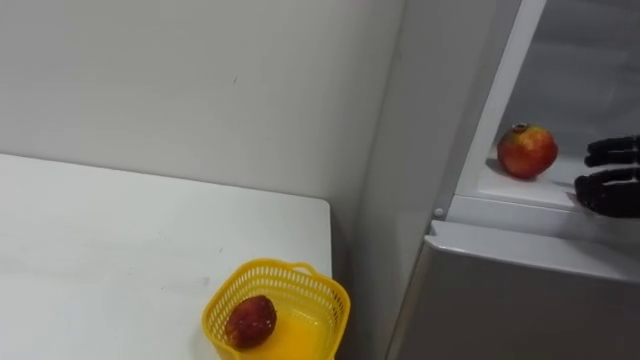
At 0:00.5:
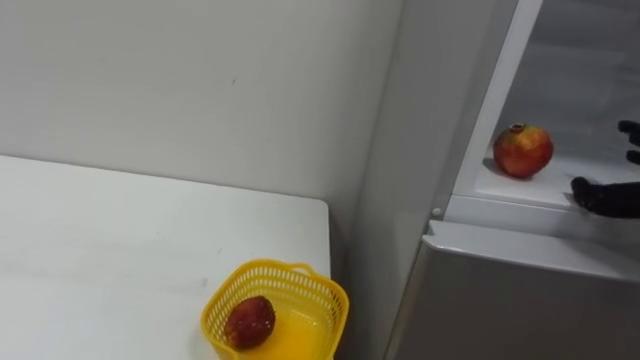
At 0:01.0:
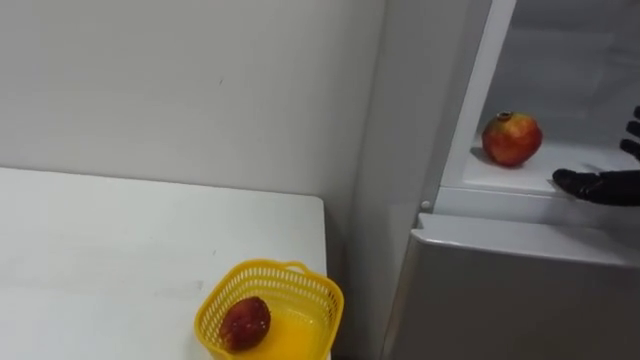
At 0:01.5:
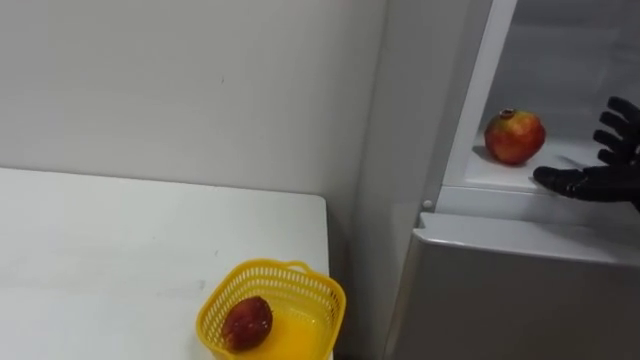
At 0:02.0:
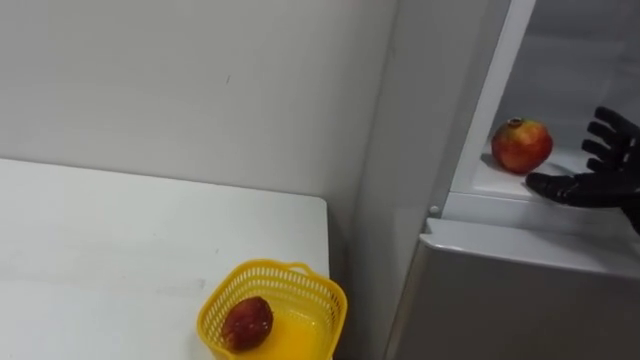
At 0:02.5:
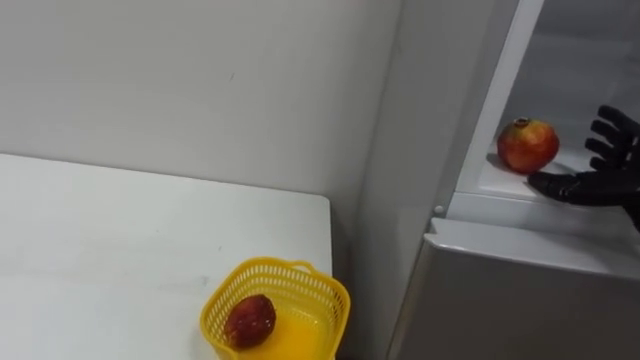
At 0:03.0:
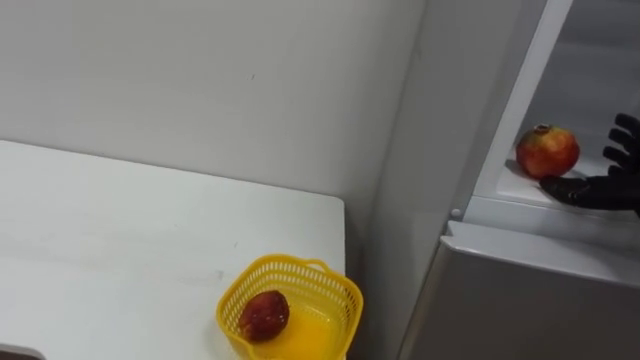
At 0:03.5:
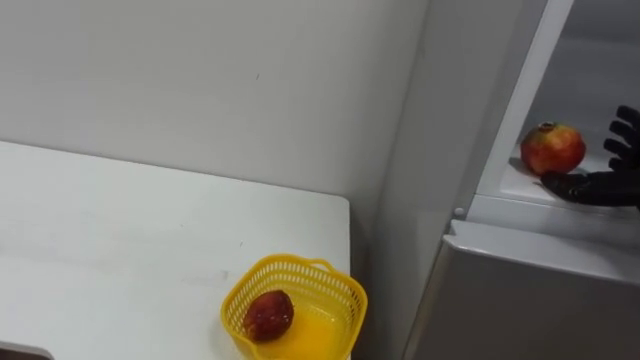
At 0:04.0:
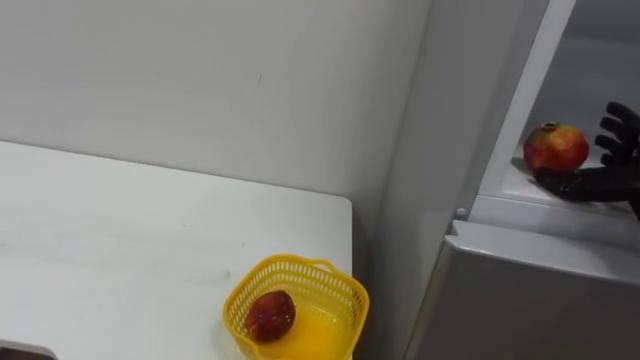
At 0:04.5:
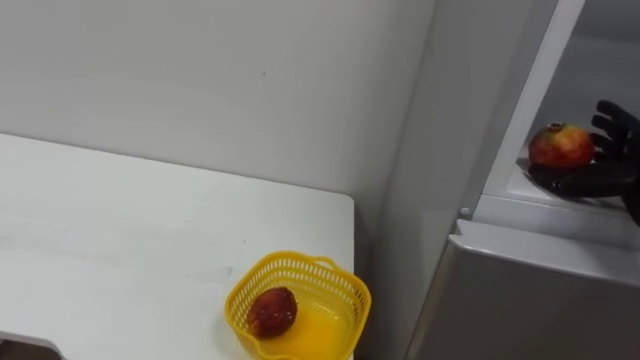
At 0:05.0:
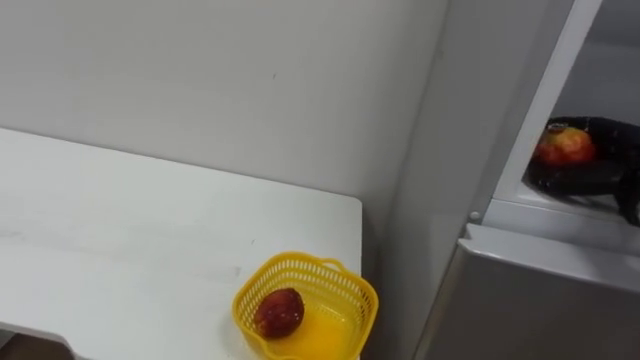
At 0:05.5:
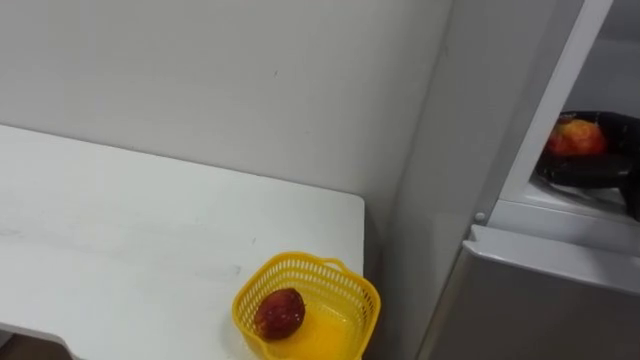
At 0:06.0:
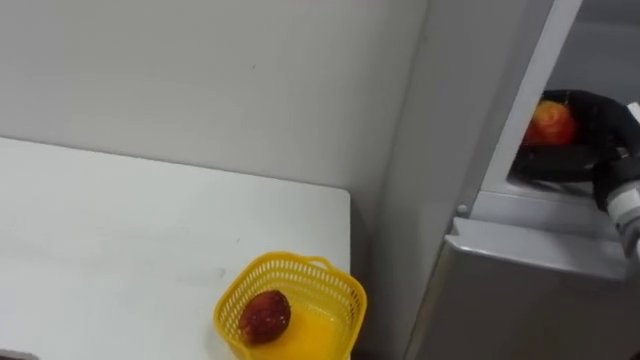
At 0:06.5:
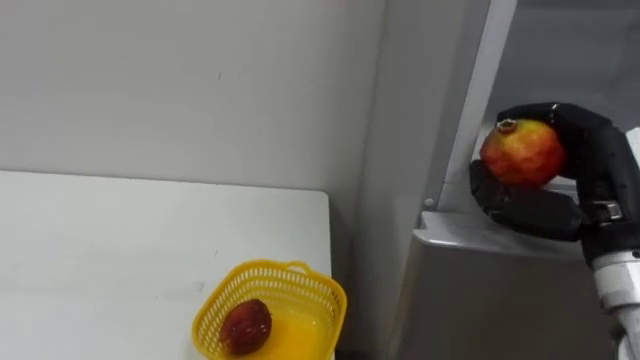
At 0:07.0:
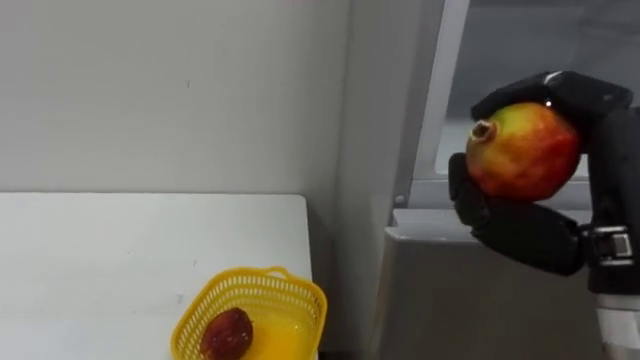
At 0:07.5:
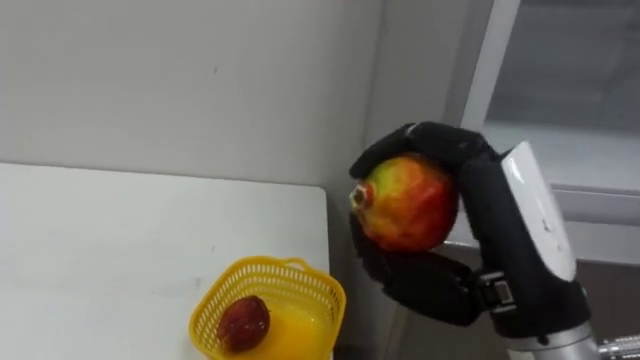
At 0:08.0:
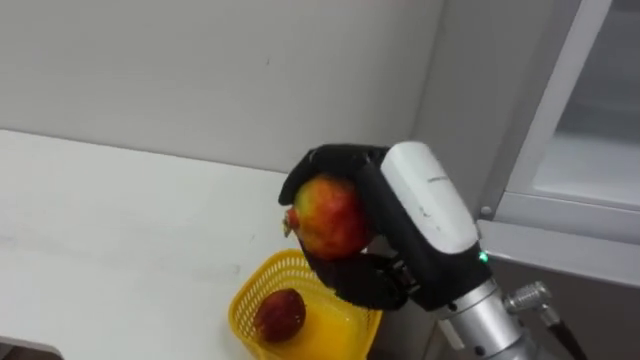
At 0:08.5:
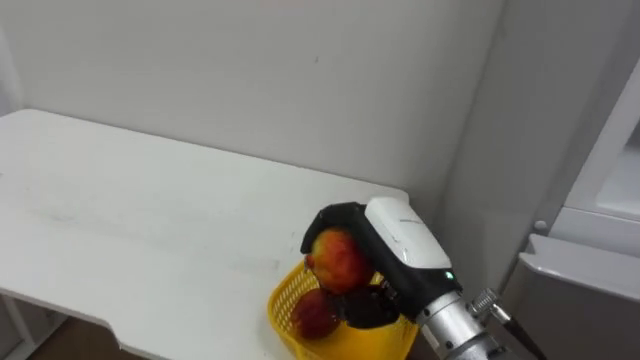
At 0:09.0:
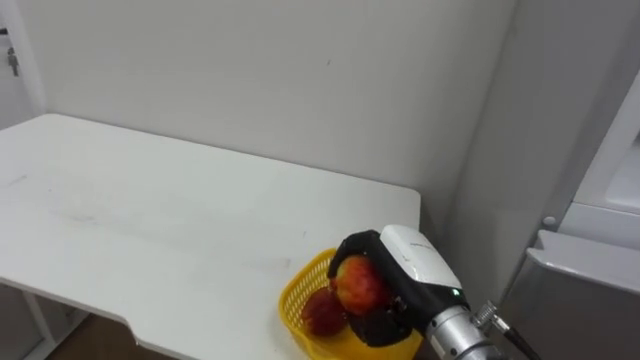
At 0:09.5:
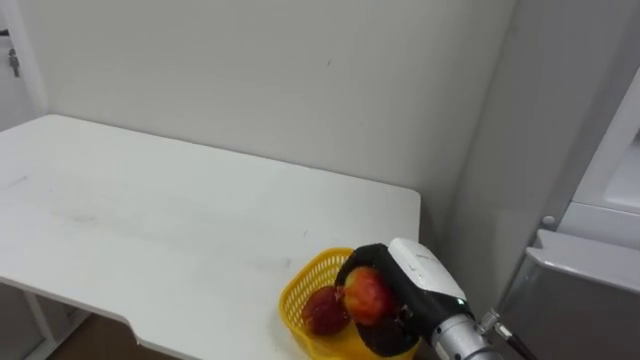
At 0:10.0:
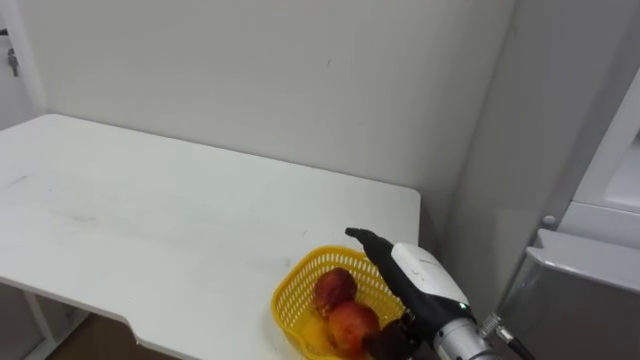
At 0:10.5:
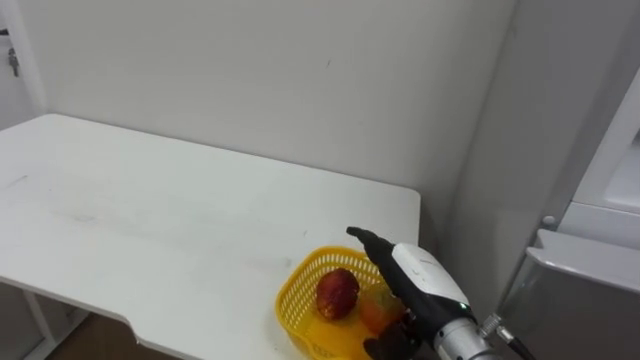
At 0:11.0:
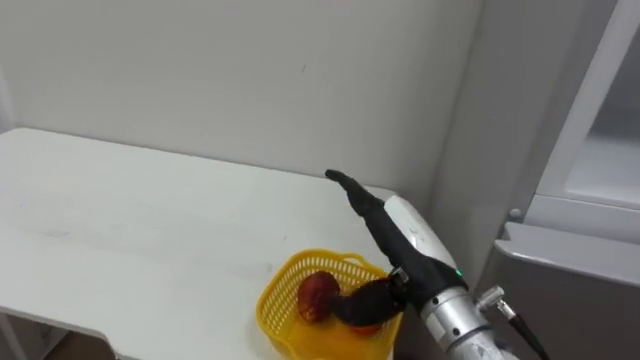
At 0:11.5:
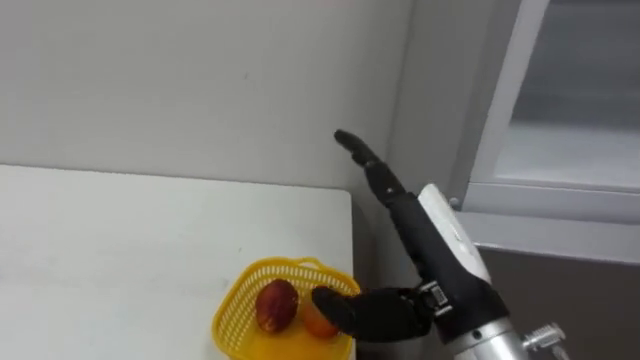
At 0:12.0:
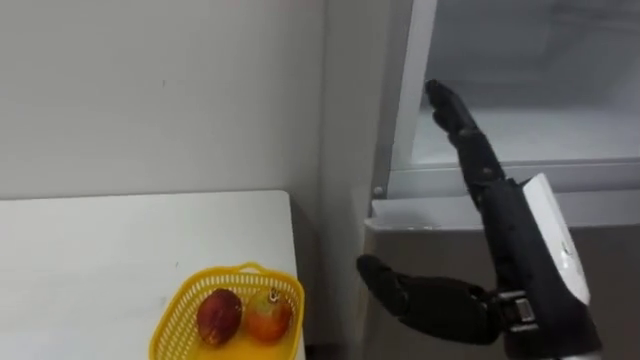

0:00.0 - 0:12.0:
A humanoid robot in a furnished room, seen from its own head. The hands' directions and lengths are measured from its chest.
Task of the whole recording: Open the refrigerator door, take out the apple and the pomegranate, place them in the fruit basket on the left, and close the refrigerator door.
0:06.0 - 0:08.0: The right hand shifts about 25 cm to the left and backward.
0:08.0 - 0:10.0: The right hand is displaced downward and forward by approximately 20 cm, and opens its fingers.
0:10.0 - 0:12.0: The right hand travels upward and backward by approximately 20 cm.

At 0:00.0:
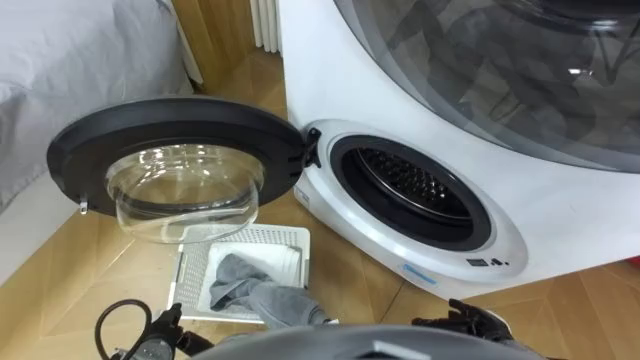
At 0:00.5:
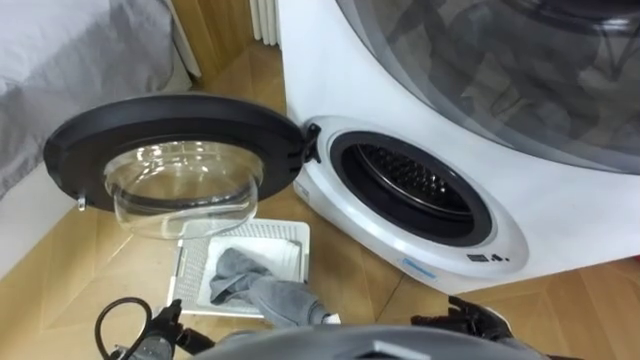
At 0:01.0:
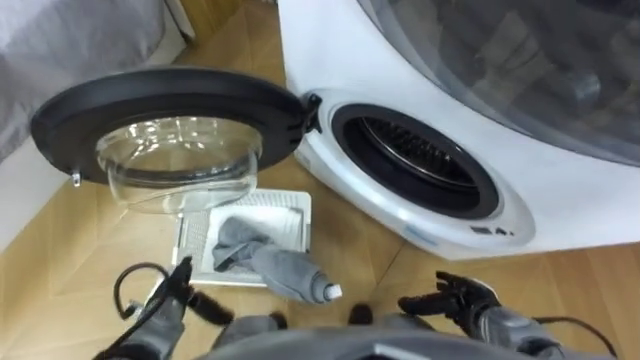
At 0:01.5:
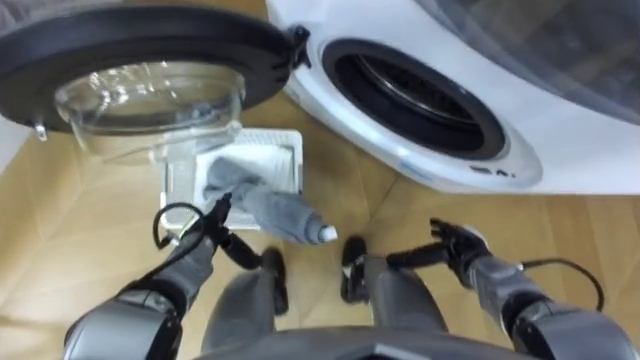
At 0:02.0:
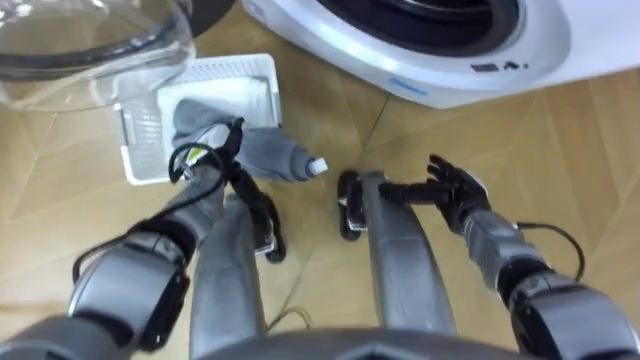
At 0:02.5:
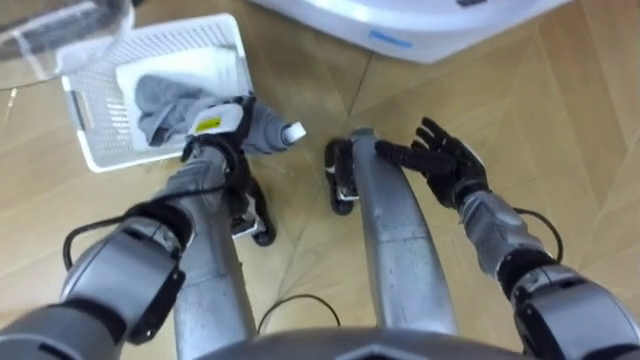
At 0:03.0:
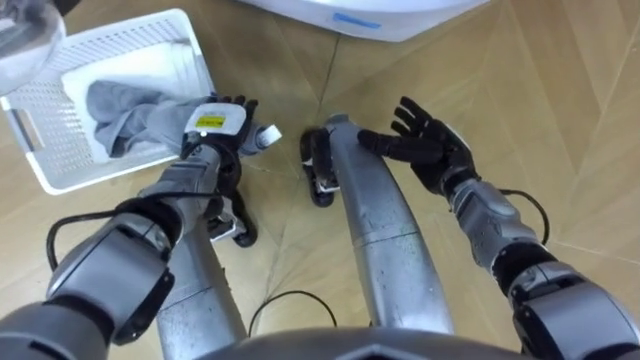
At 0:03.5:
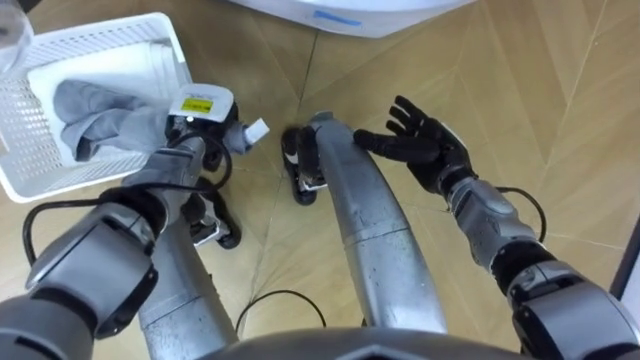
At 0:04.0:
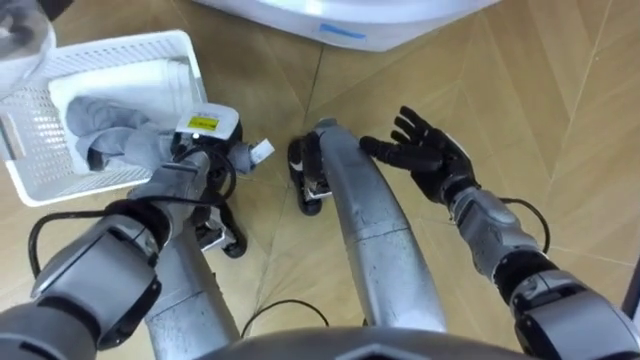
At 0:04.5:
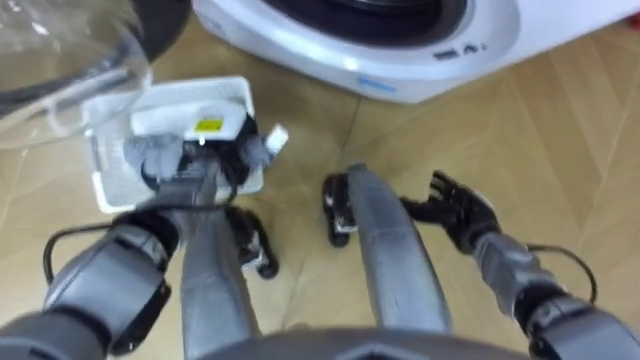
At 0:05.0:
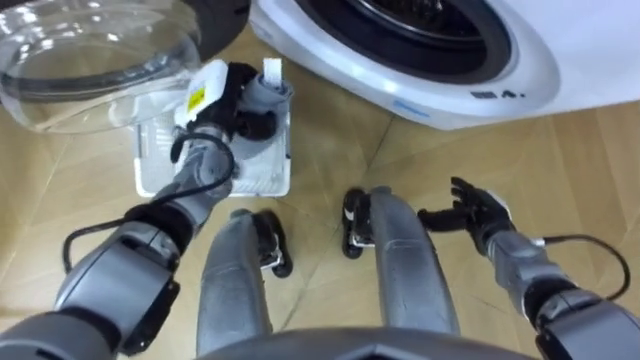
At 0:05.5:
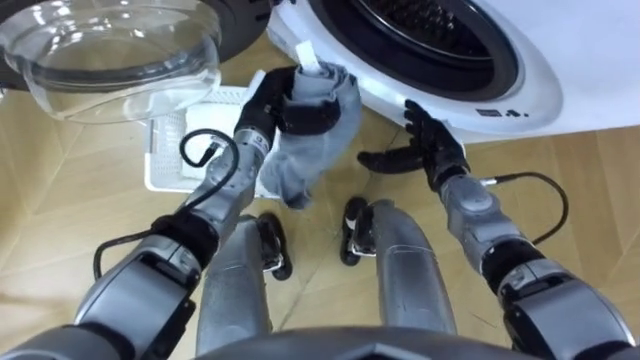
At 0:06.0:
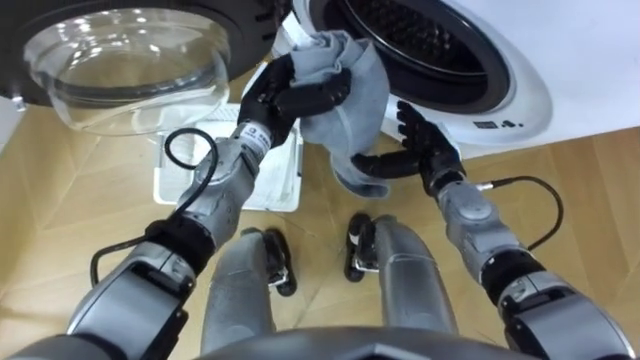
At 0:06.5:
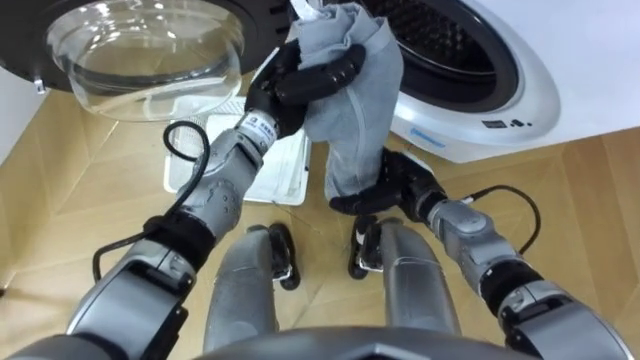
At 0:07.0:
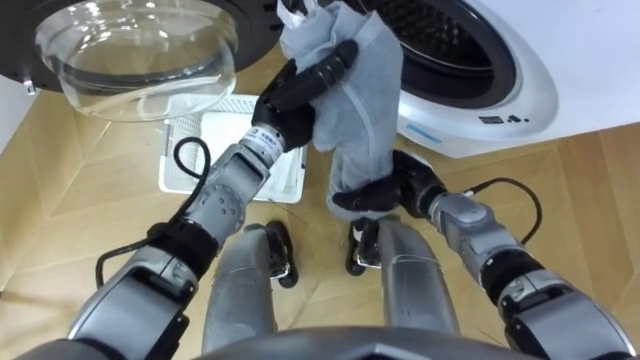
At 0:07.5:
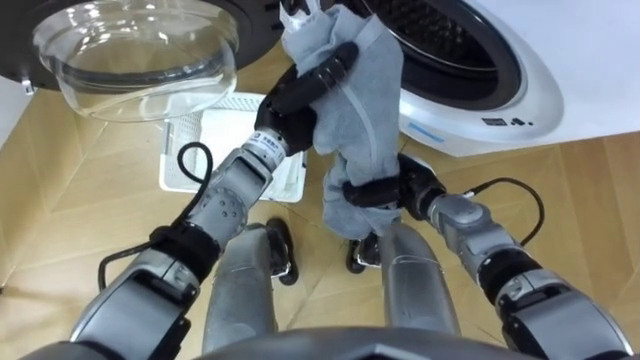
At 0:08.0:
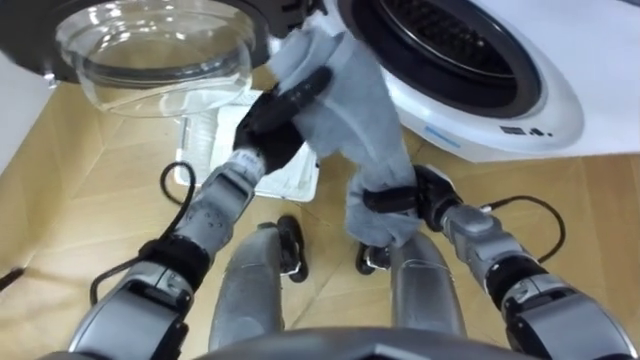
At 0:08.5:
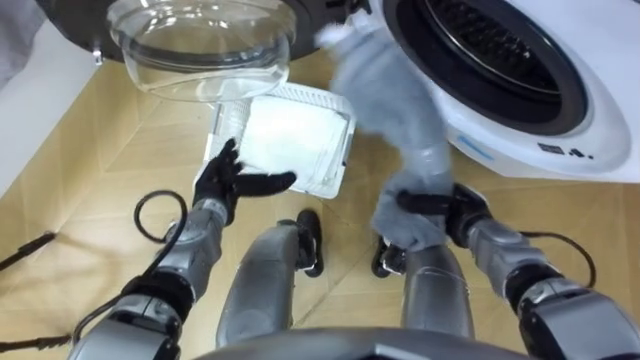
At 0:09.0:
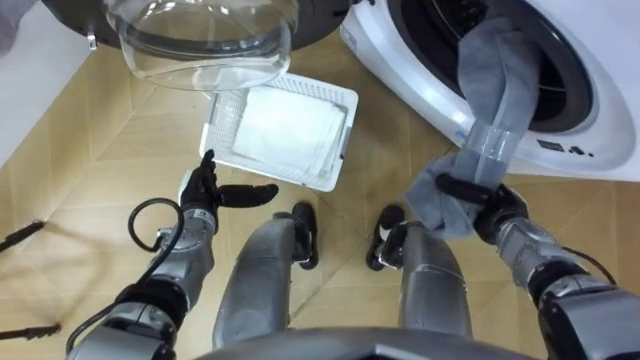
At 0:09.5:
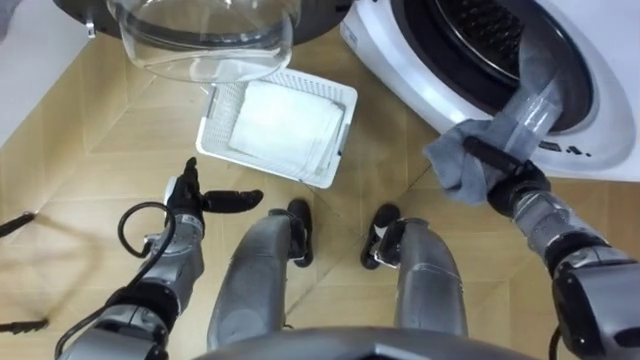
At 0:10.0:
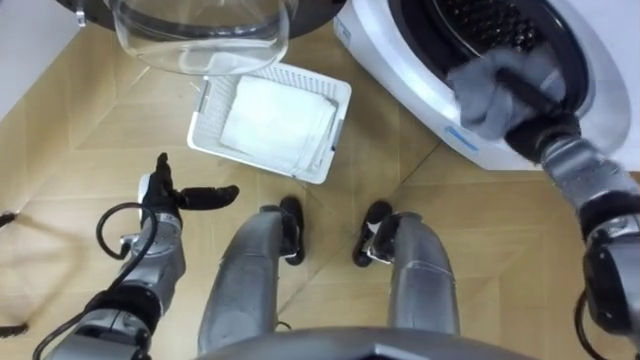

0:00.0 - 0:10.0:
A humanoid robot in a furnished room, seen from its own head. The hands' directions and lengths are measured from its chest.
Task of the whole recording: Take the towel from the basket and put it into the washing machine.
0:02.0 - 0:04.0: The left hand closes up. Meanwhile the right hand ends up roughly 10 cm from where it was.
0:04.0 - 0:06.0: The left hand moves to the right and upward, approximately 15 cm, while the right hand goes to the right and returns, approximately 5 cm each way.
0:06.0 - 0:08.0: The right hand ends up roughly 5 cm from where it was, and closes.
0:08.0 - 0:10.0: The left hand heads to the left, downward and backward, covering roughly 20 cm, and opens its fingers; the right hand travels to the right, upward and forward by about 20 cm.
